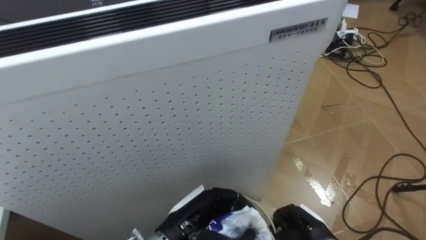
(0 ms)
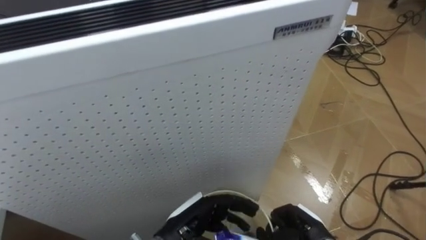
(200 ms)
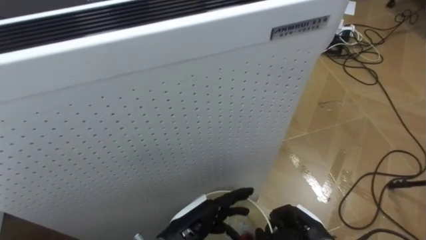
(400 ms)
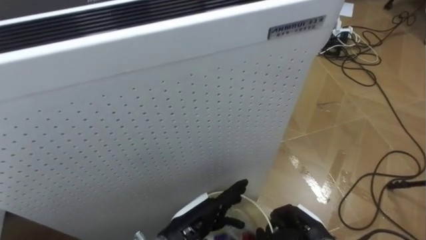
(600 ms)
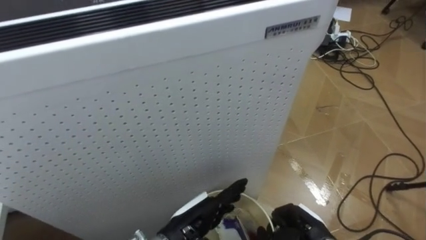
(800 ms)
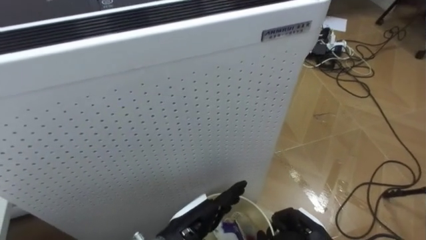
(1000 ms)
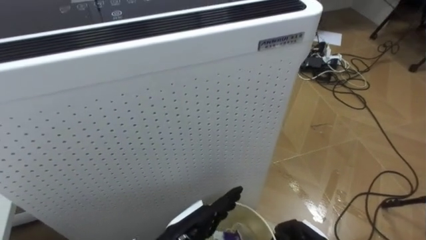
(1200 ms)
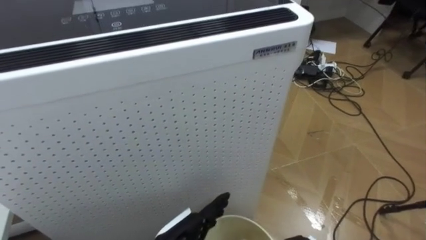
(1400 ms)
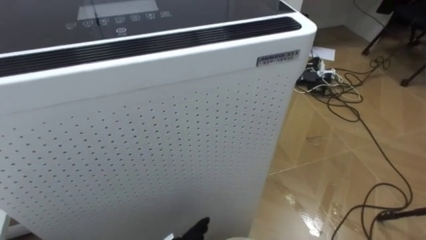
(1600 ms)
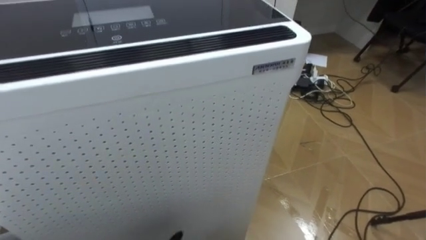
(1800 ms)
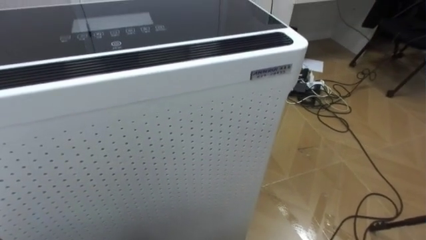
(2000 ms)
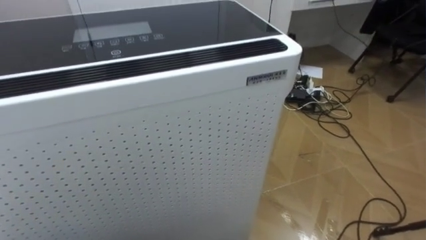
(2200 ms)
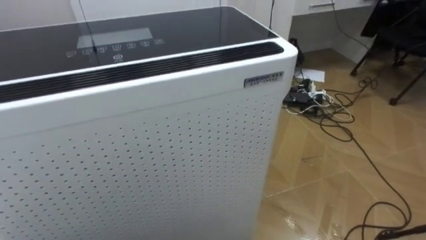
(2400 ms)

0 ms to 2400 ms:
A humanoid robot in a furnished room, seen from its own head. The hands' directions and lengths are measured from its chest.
Task of the whole recording: Pick up the light blue package, the candy box, and the dark blue package separately, and put them into the trash can held in your right hand.
0 ms to 1200 ms: The left hand opens its fingers.

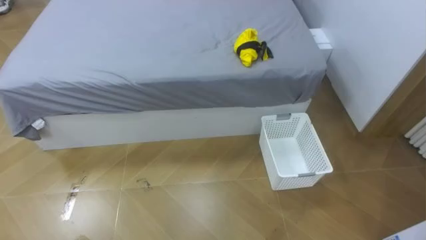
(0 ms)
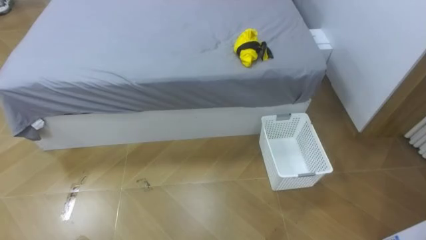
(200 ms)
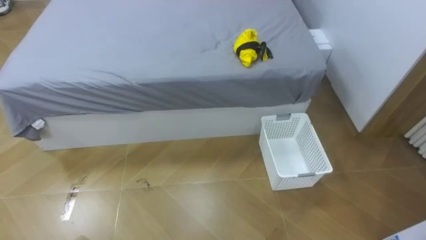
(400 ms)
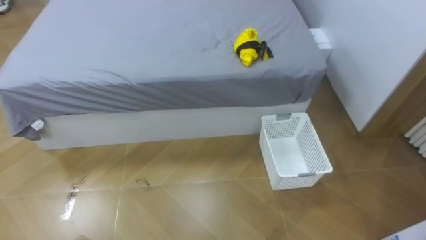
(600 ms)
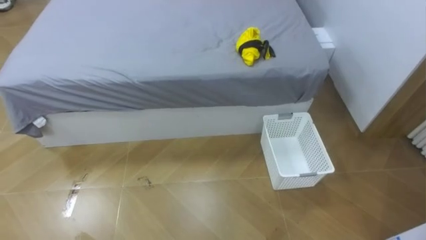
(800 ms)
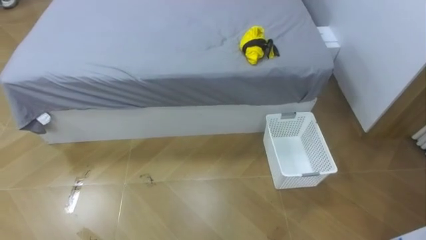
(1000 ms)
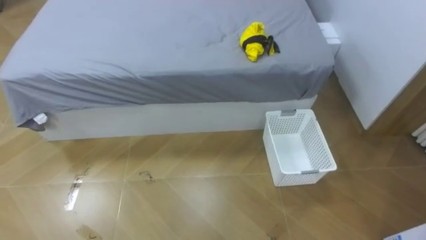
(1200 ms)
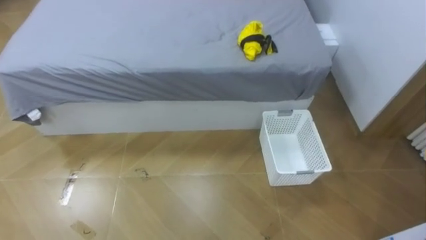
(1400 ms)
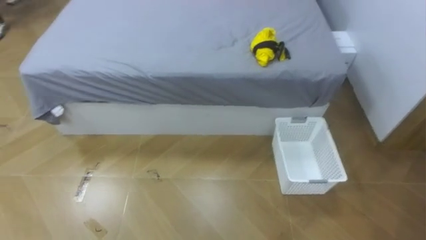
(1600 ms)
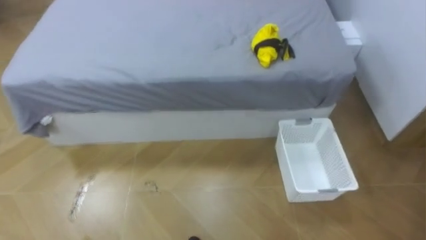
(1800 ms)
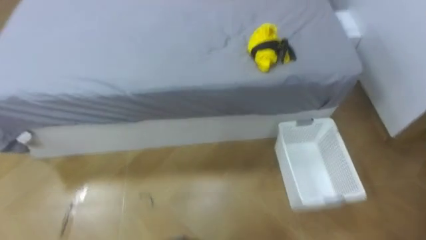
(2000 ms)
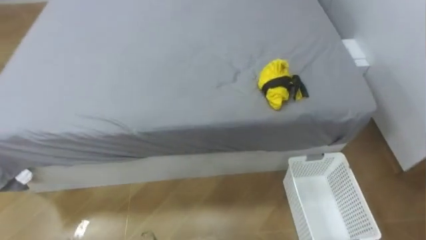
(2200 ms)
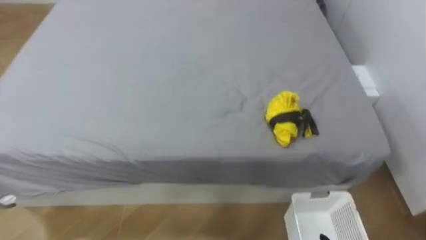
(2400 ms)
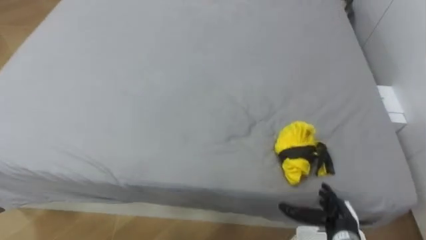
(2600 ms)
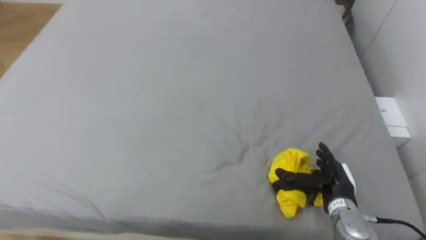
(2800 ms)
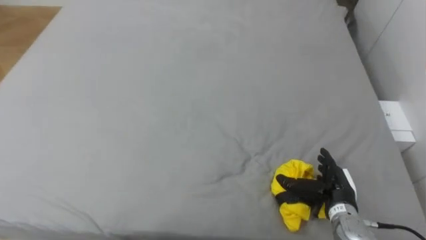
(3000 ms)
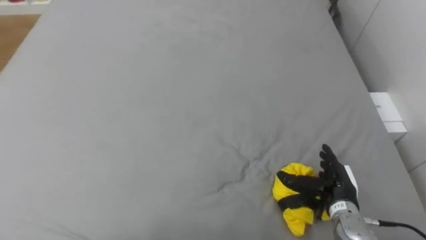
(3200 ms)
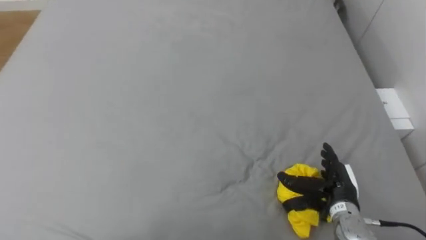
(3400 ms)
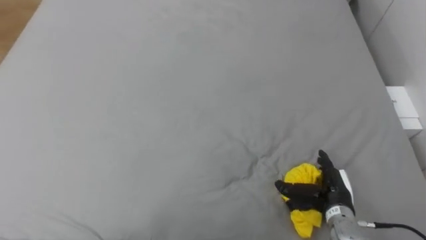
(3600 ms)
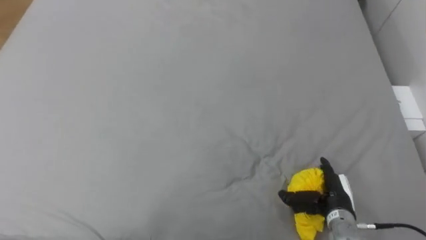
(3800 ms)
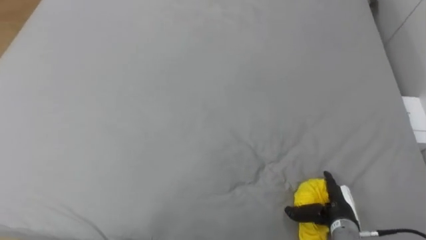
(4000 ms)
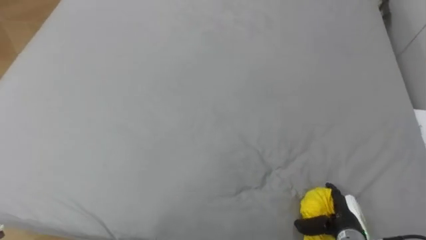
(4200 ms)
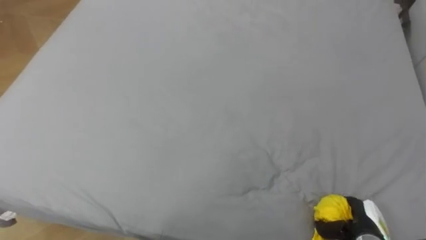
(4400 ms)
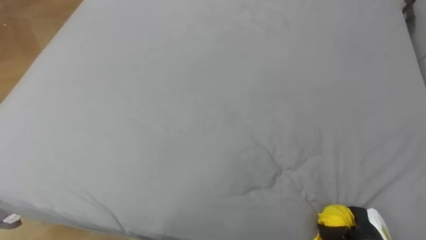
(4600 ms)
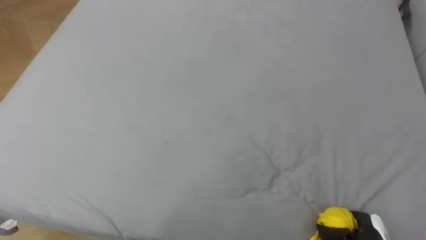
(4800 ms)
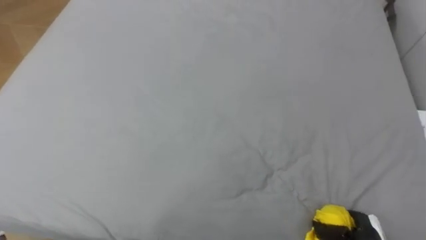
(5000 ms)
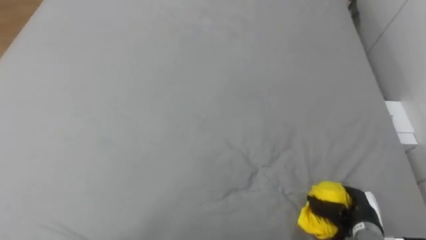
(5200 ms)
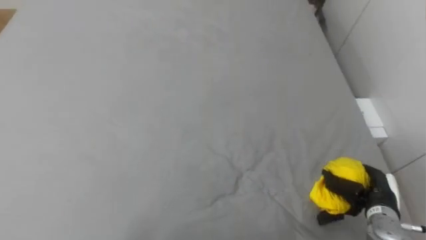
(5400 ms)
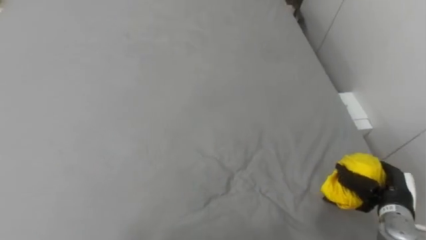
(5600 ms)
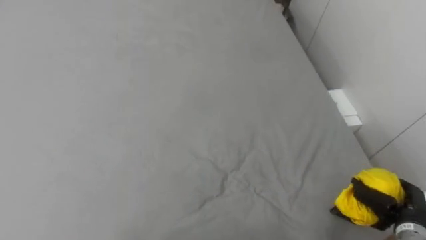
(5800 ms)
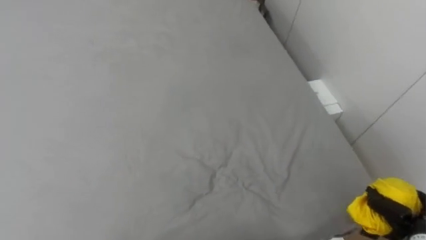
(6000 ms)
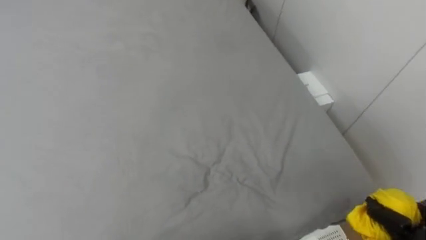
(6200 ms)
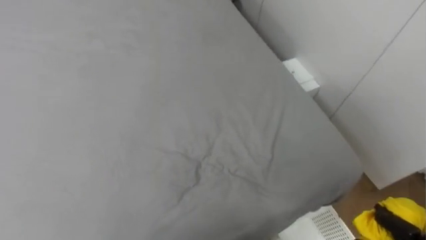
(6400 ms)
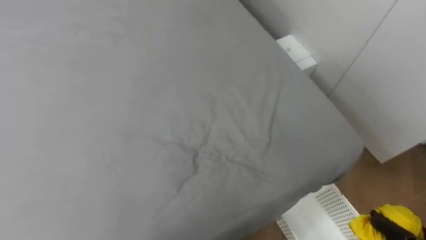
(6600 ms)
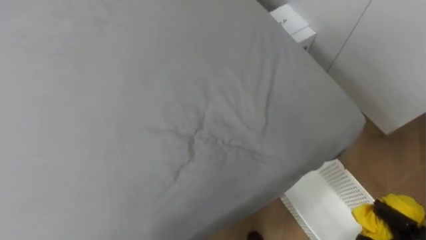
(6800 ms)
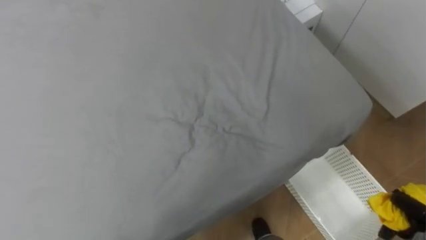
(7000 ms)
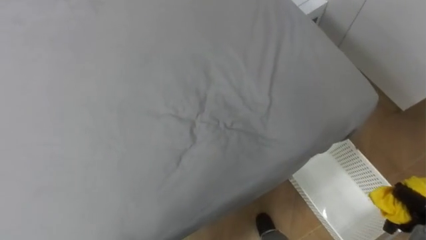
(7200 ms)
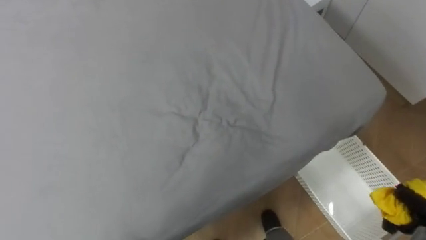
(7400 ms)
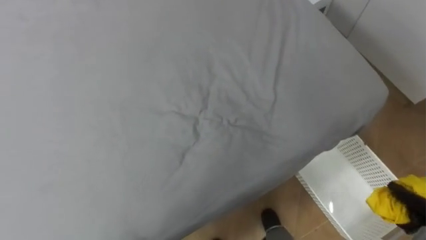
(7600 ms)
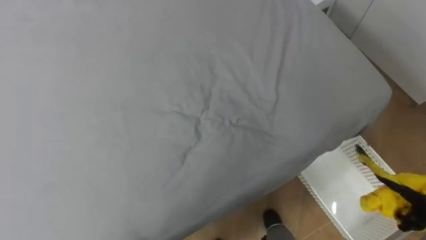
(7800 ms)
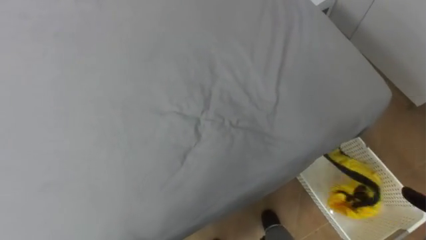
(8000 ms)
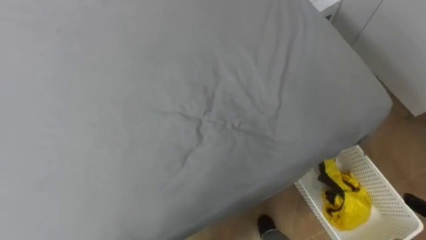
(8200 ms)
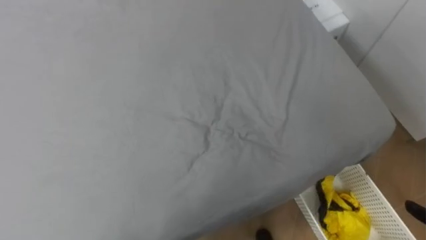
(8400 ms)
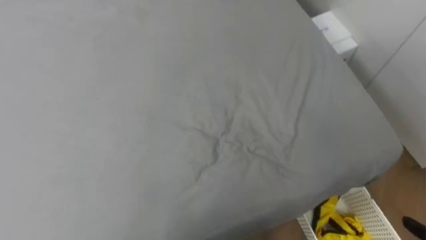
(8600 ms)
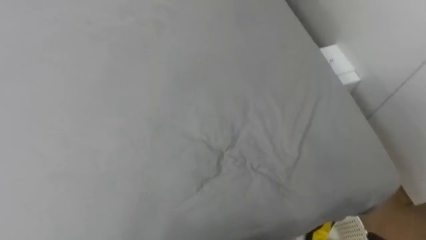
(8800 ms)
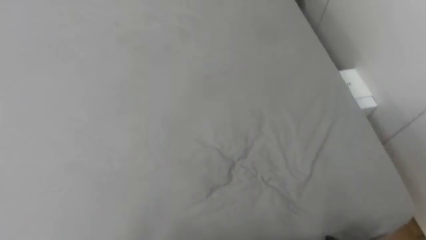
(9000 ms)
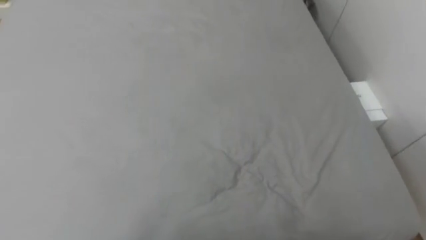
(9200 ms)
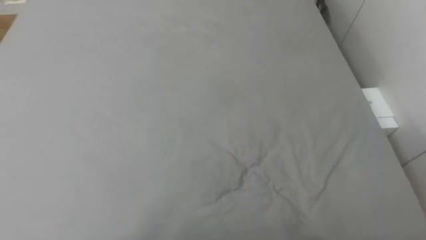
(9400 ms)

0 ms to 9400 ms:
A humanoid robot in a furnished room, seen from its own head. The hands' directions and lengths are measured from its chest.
Task of the whole recording: Pick up the yellow clothes on the bed and place them into the white basket on the right.
7800 ms to 9400 ms: The robot faces some 15 degrees further to its left.

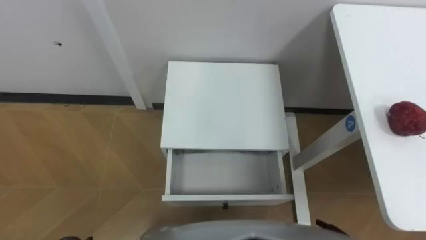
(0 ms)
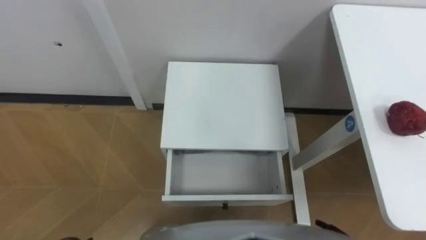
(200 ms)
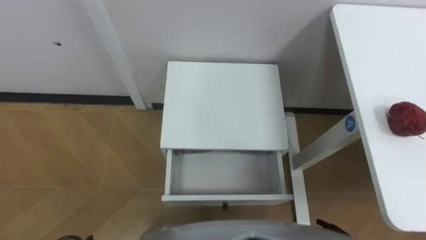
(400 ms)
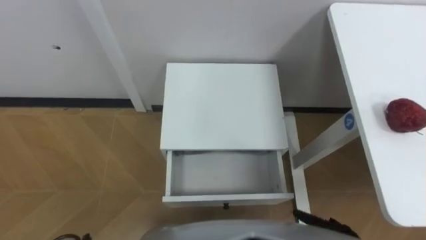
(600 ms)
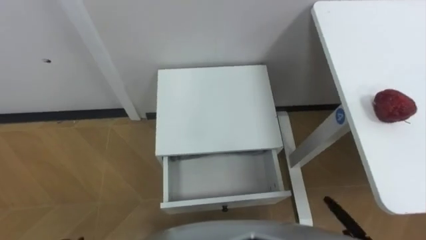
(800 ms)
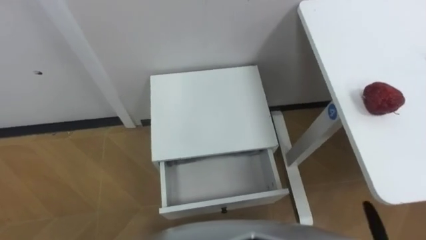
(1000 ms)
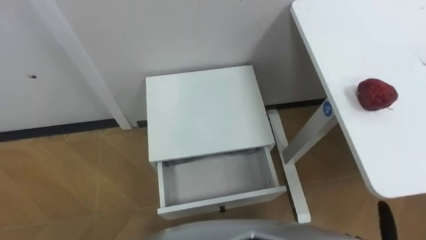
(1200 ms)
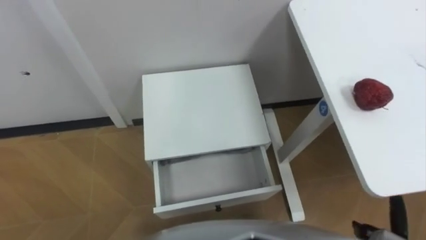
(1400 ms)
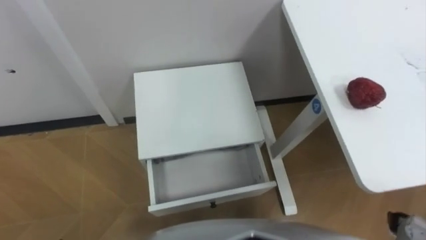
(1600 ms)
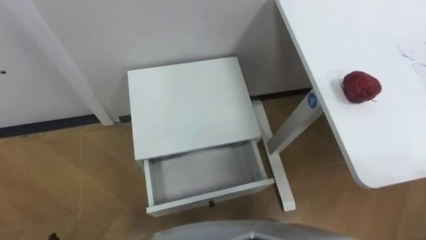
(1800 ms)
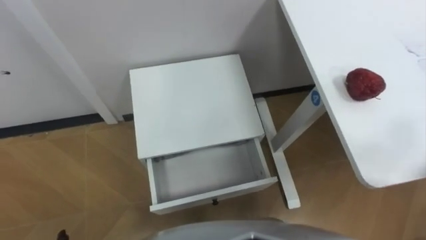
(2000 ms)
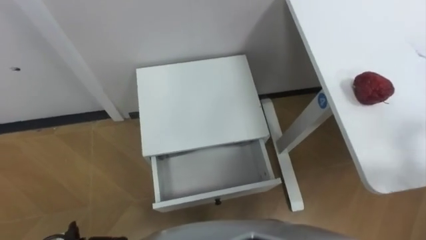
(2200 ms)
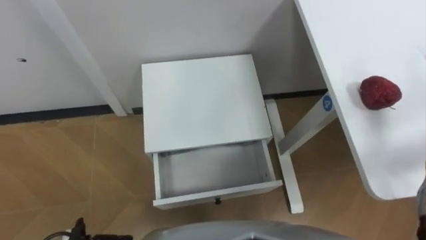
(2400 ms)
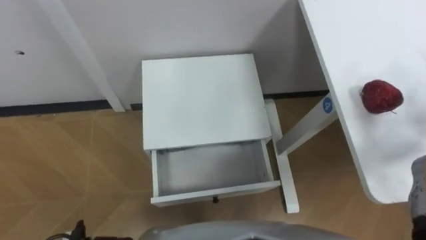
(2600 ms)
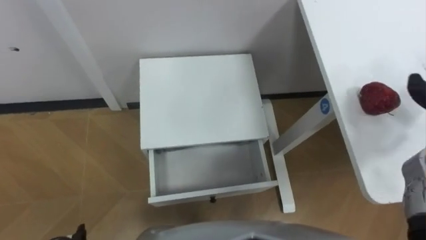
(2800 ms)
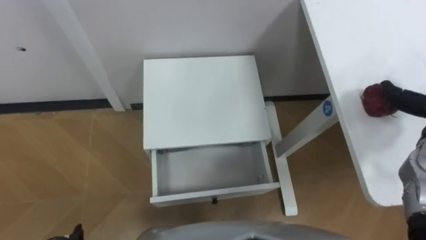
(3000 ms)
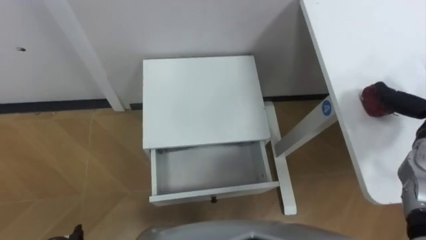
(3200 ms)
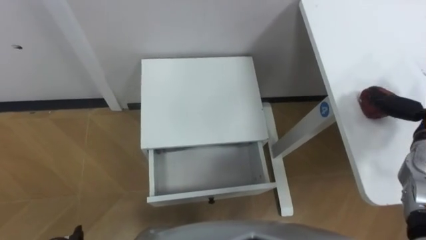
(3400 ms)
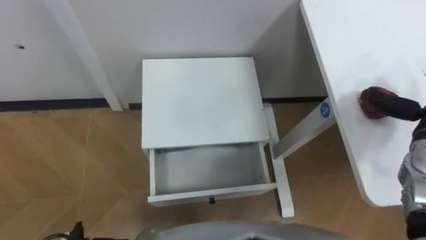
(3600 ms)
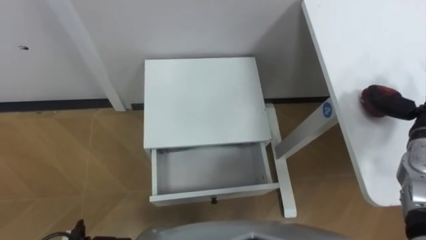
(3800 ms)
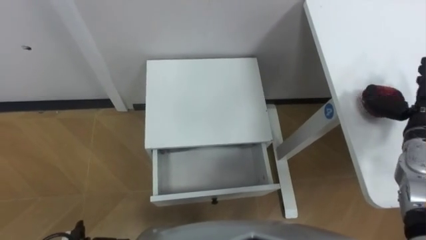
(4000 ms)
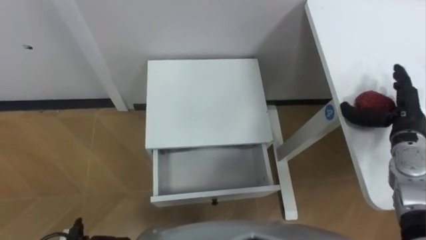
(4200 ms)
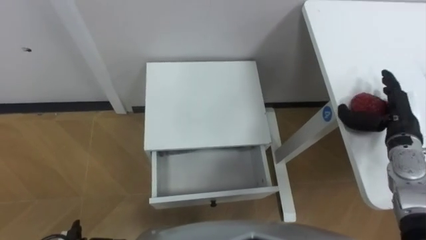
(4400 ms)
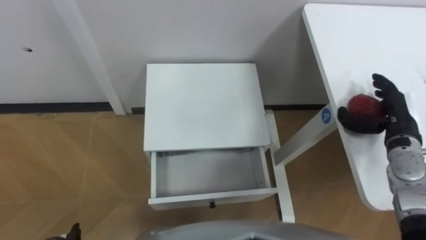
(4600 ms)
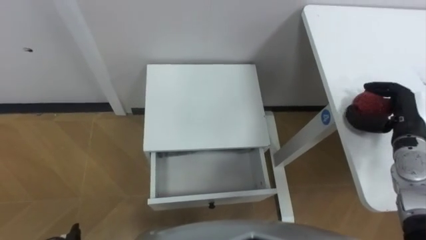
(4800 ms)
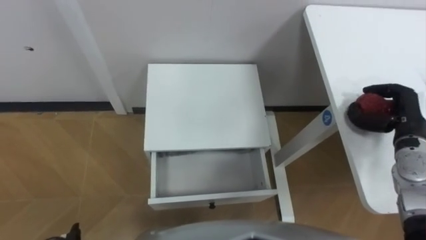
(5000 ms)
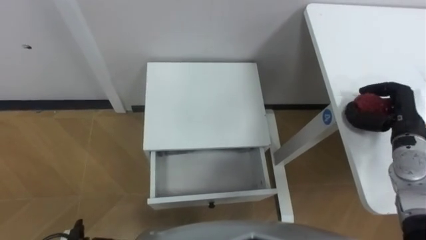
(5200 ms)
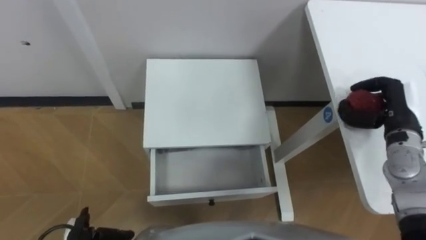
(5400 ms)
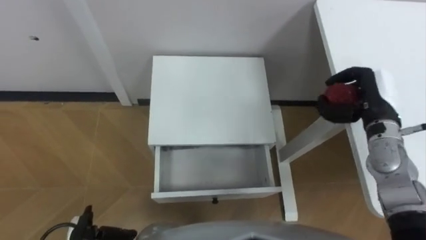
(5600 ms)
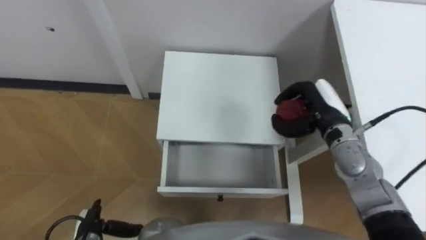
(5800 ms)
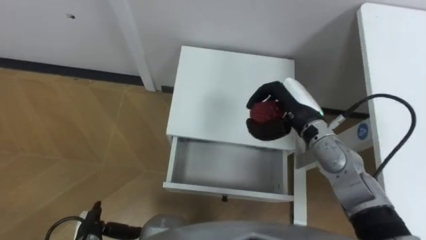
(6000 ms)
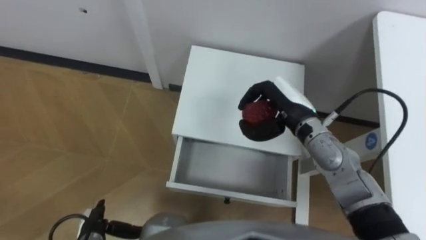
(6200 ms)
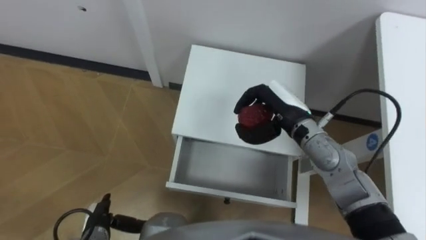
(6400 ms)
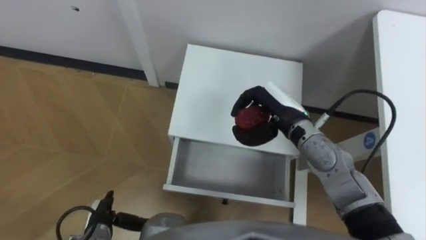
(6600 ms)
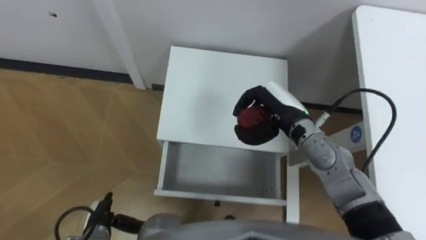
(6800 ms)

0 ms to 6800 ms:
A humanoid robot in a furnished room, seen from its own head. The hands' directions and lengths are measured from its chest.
Task of the whole recording: Pick up the apple from the table, put it in the drawer, and close the drawer with leg.
4000 ms to 5400 ms: The right hand closes.
5400 ms to 6800 ms: The right hand shifts about 20 cm to the left.
